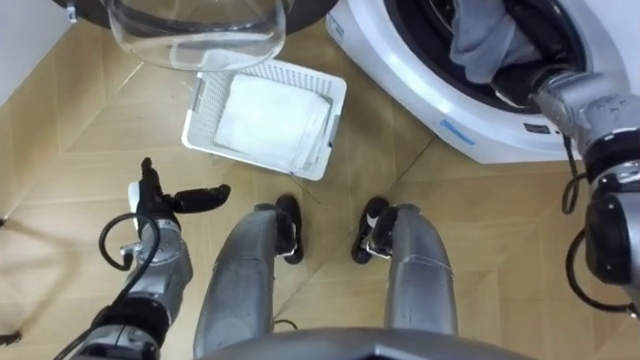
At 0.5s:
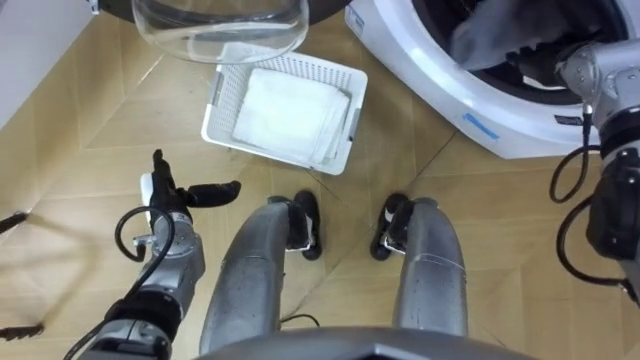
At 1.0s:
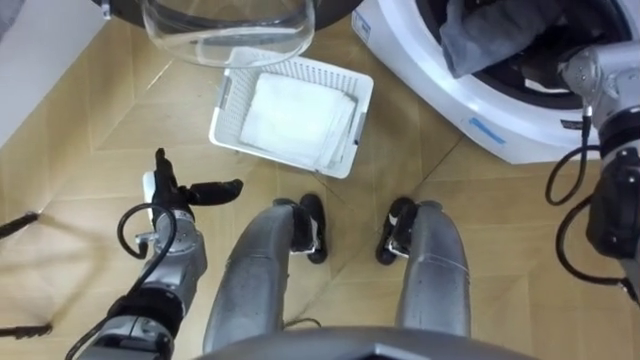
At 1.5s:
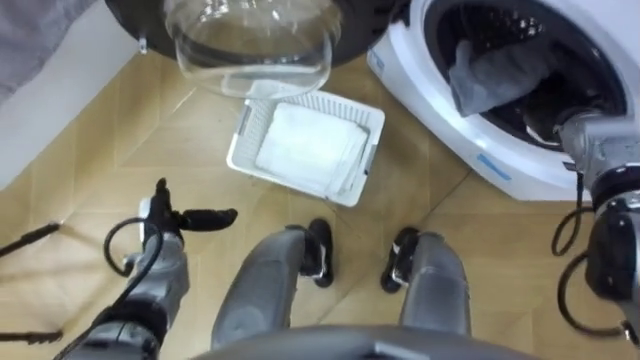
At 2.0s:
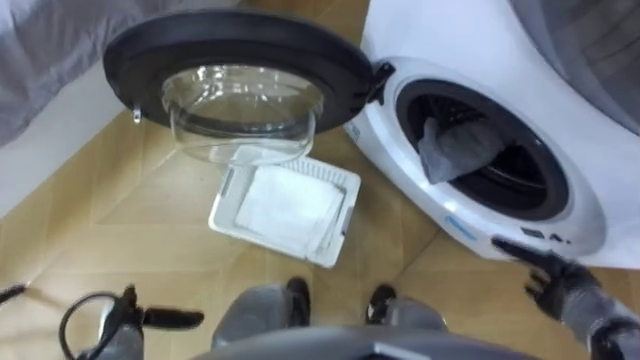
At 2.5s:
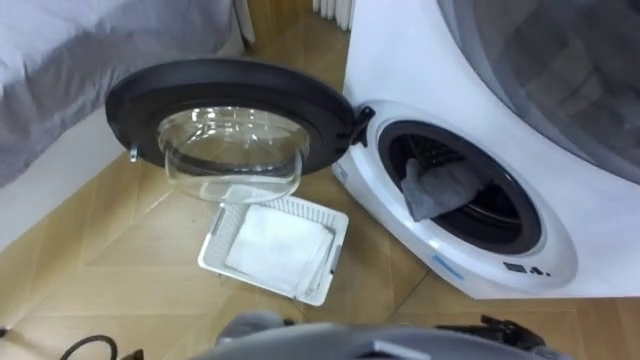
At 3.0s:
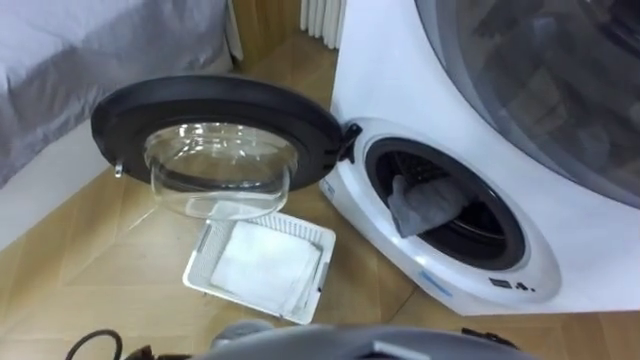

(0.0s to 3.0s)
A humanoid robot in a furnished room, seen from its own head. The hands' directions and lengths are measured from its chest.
Task of the whole recording: Take the towel from the basket and put it into the washing machine.
0.0s - 1.5s: The right hand heads to the right, covering roughly 5 cm, and opens up.

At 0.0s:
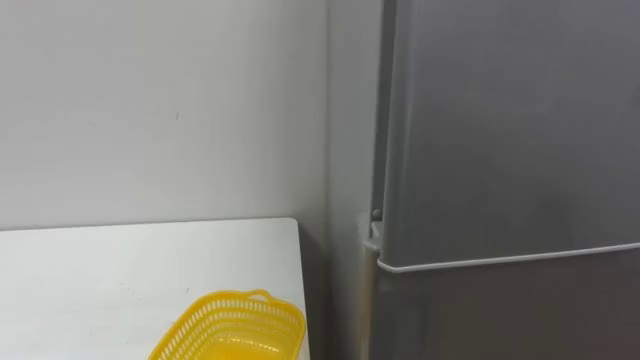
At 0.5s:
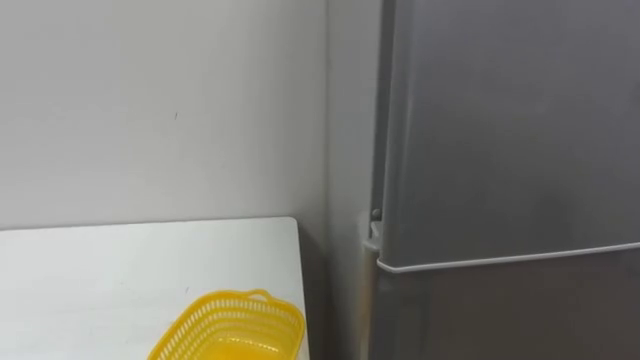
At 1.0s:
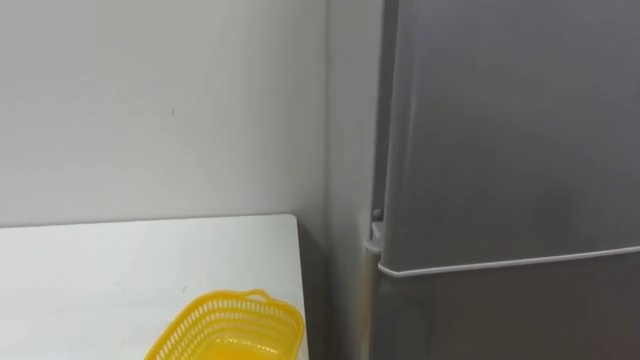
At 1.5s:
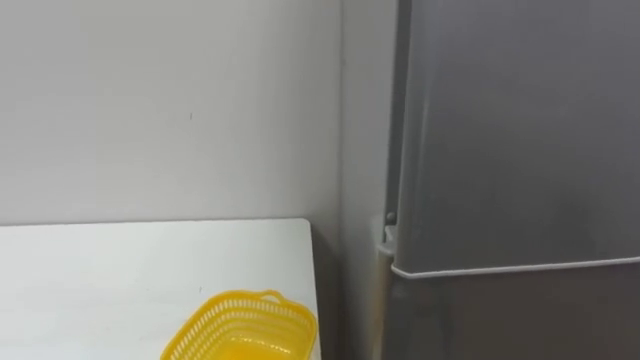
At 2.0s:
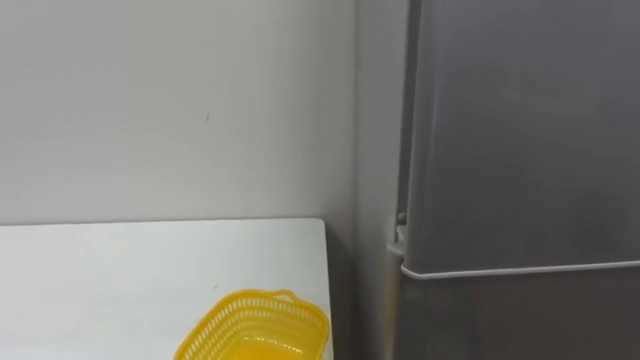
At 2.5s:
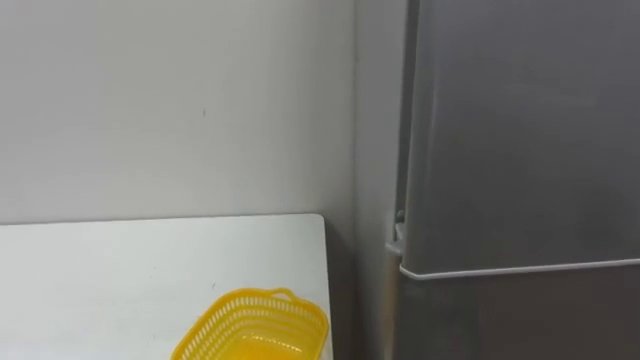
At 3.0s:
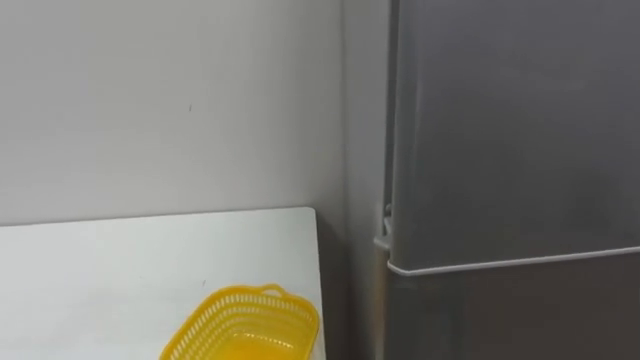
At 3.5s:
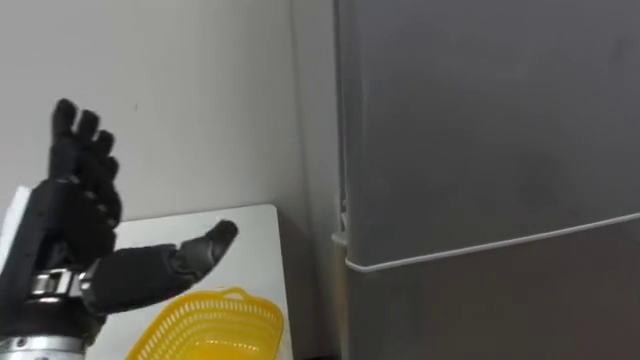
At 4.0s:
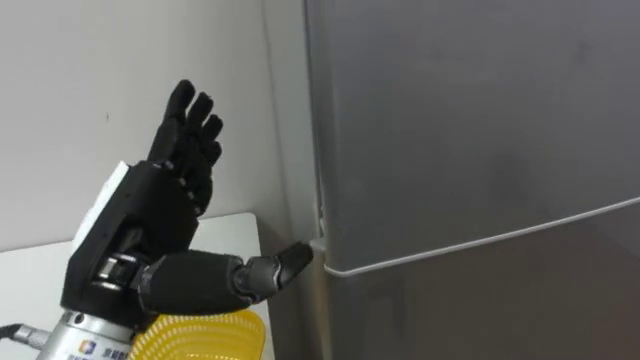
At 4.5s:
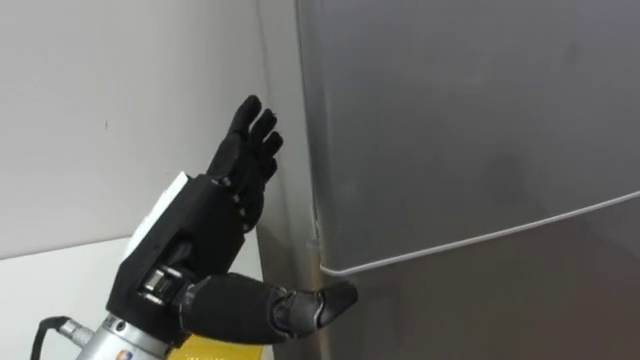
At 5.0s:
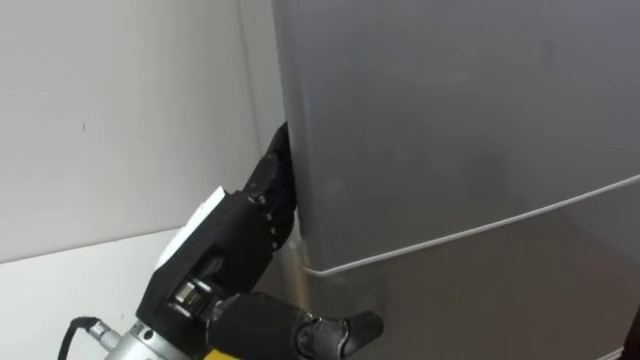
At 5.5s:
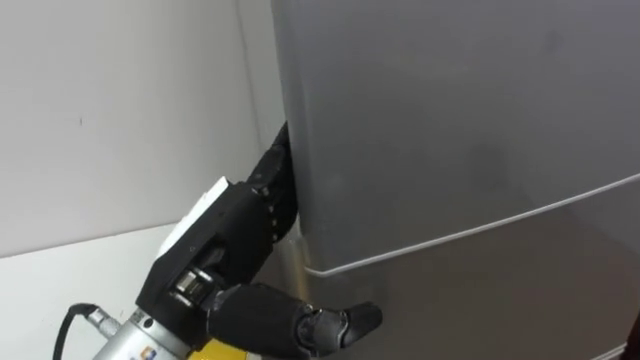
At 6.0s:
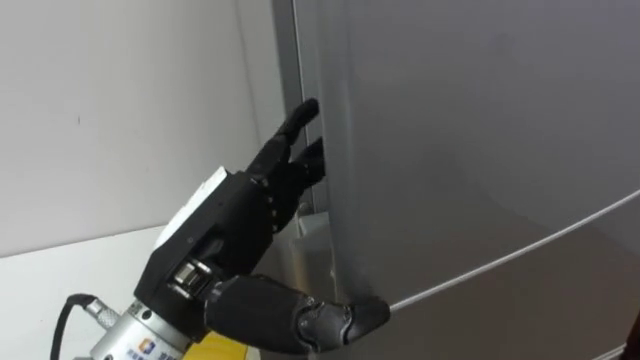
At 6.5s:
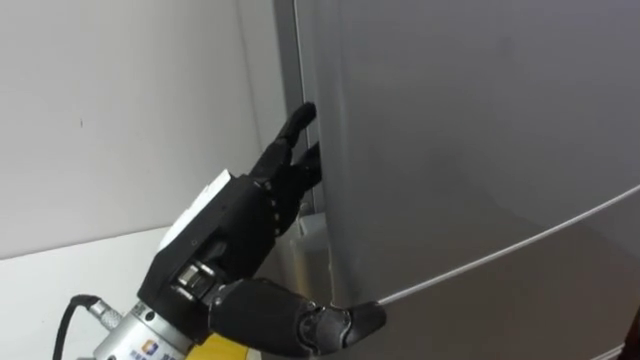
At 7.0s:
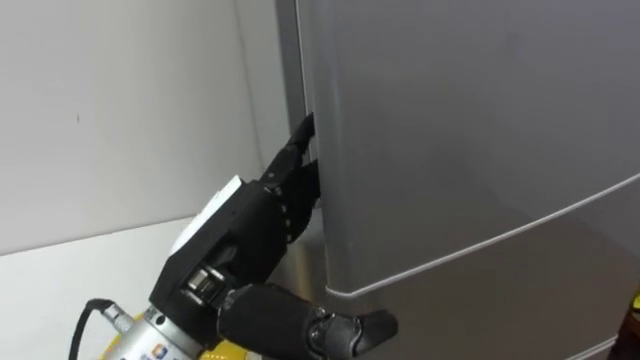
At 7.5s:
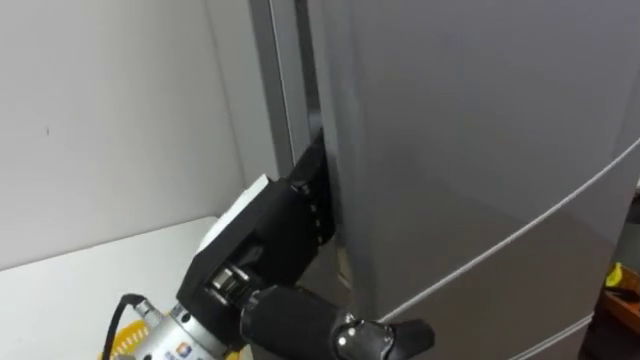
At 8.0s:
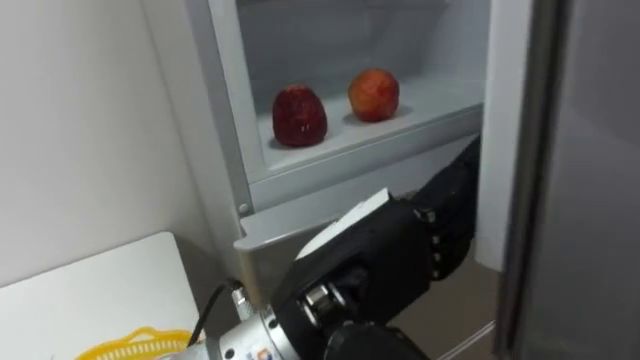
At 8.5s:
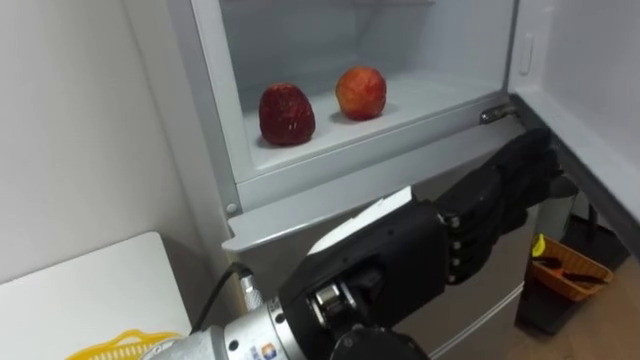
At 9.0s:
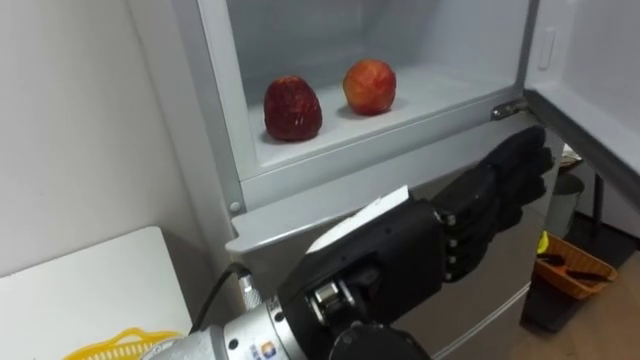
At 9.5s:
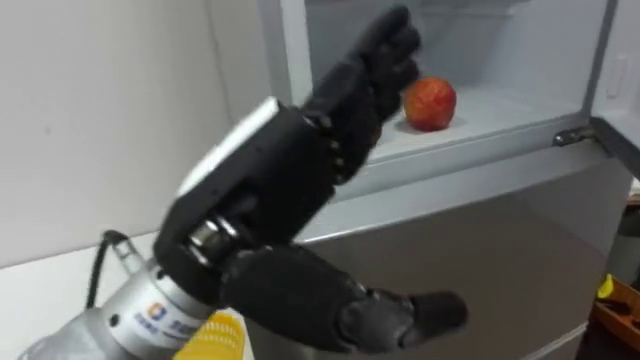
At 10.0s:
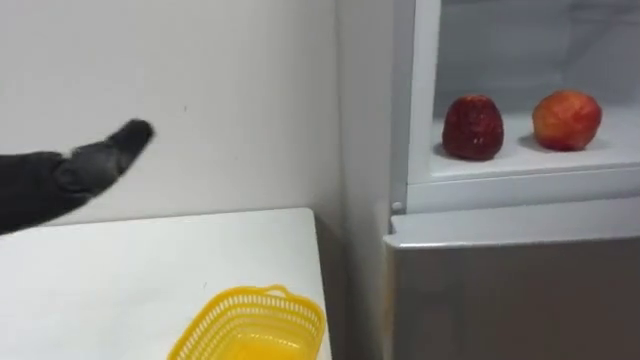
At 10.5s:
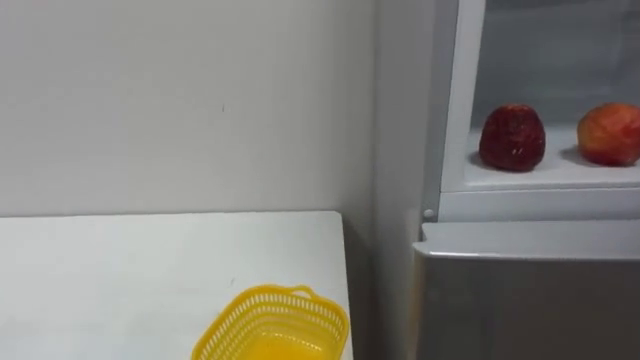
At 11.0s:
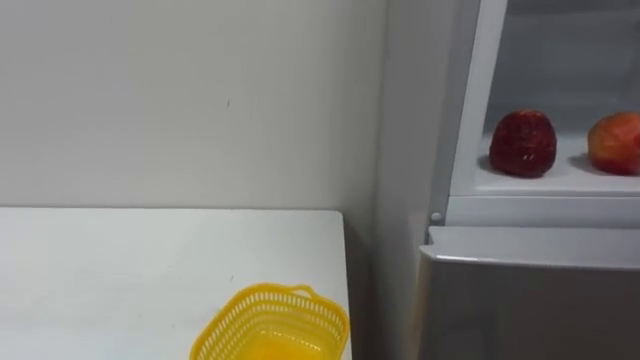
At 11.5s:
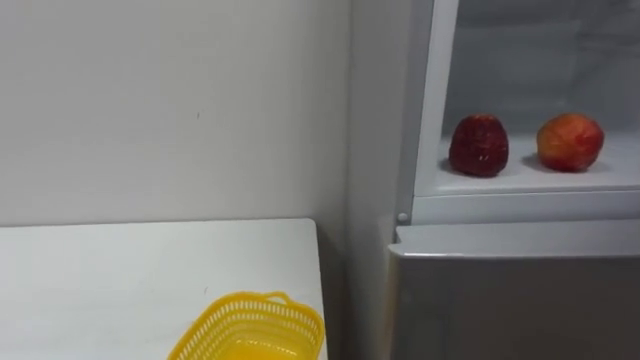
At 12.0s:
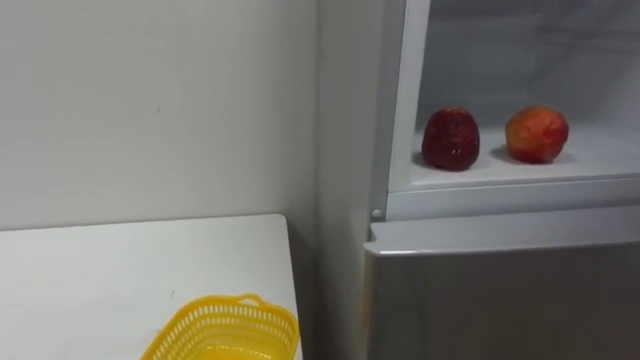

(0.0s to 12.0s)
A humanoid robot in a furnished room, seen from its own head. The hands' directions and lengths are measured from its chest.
Task of the whole recording: Open the refrigerator door, take out the apple and the pomegranate, place them in the fruit basket on the left, and close the refrigerator door.
4.0s - 6.0s: The left hand is displaced to the right by some 5 cm.
6.0s - 8.0s: The left hand moves to the right, some 10 cm.

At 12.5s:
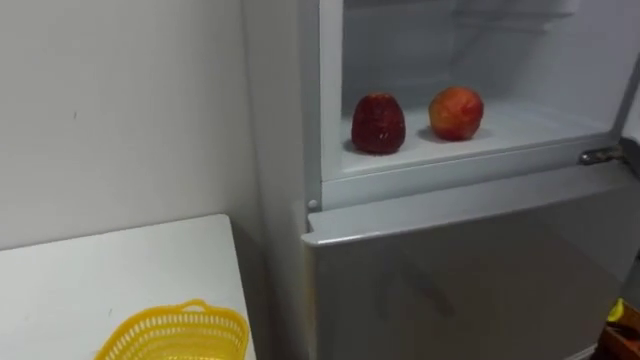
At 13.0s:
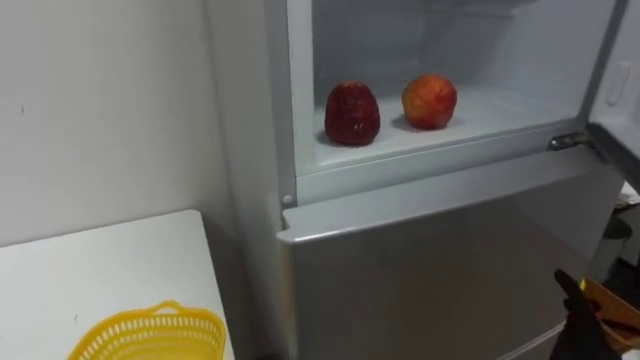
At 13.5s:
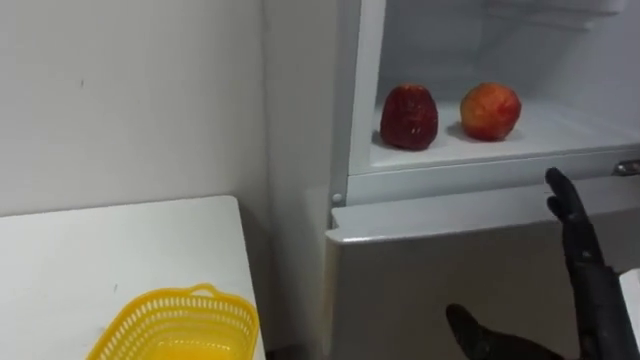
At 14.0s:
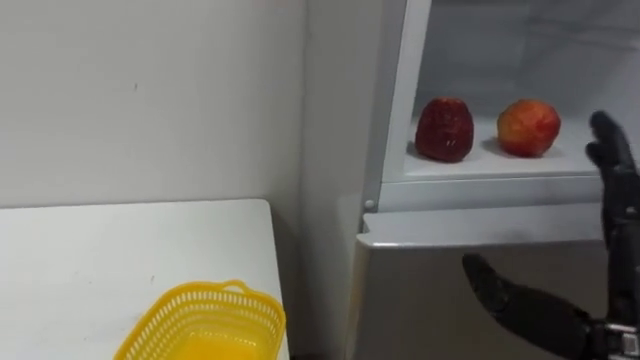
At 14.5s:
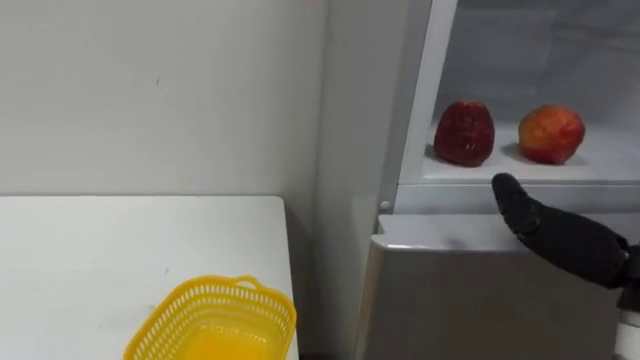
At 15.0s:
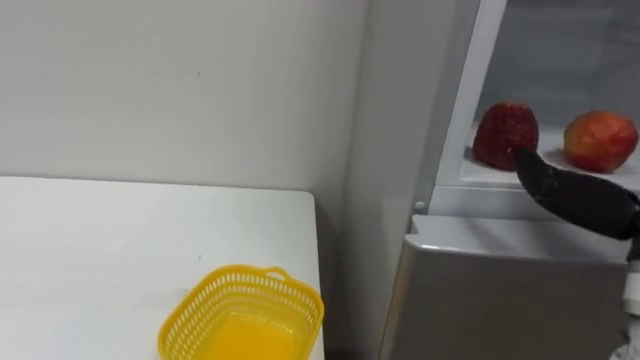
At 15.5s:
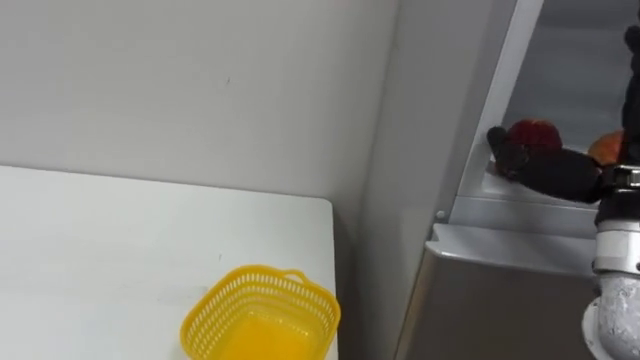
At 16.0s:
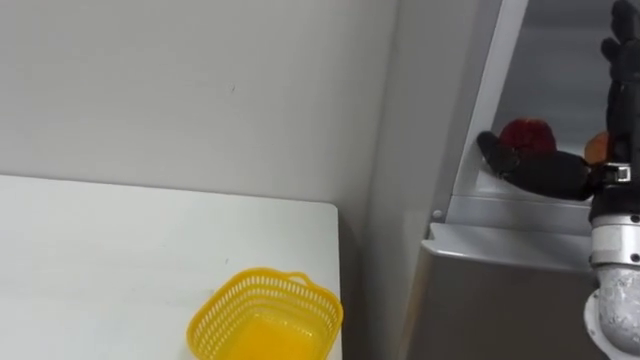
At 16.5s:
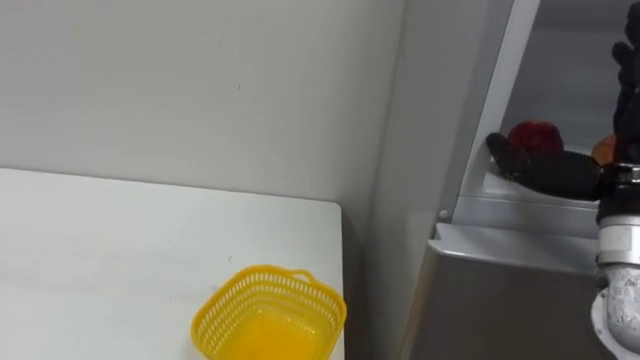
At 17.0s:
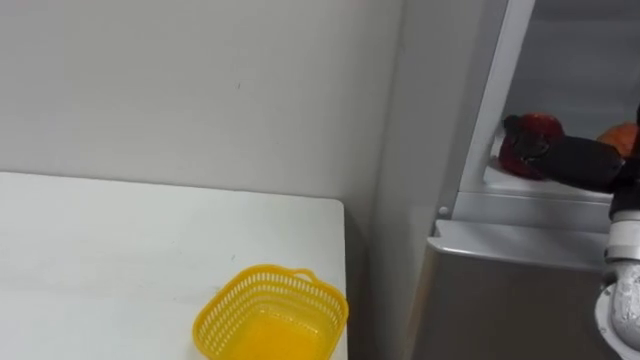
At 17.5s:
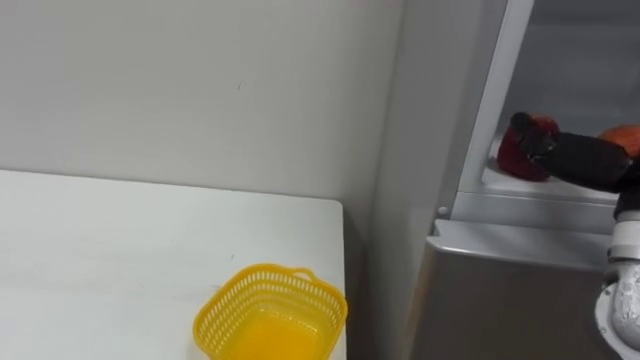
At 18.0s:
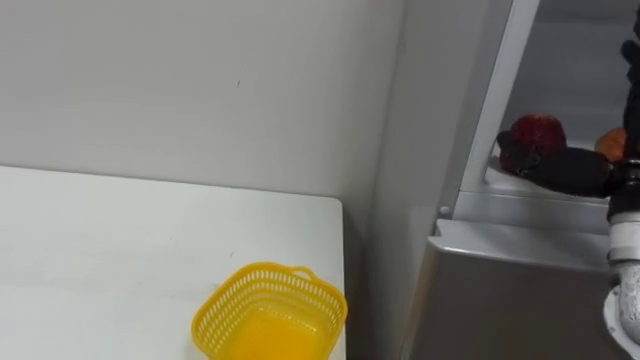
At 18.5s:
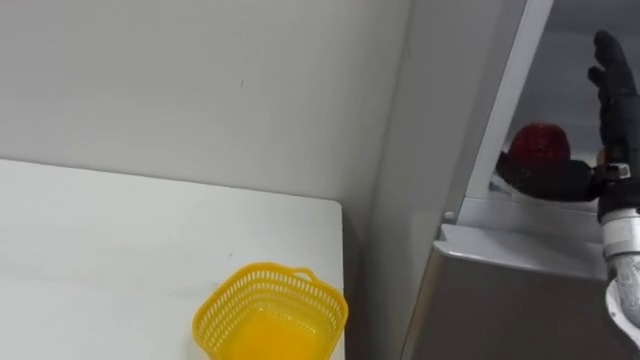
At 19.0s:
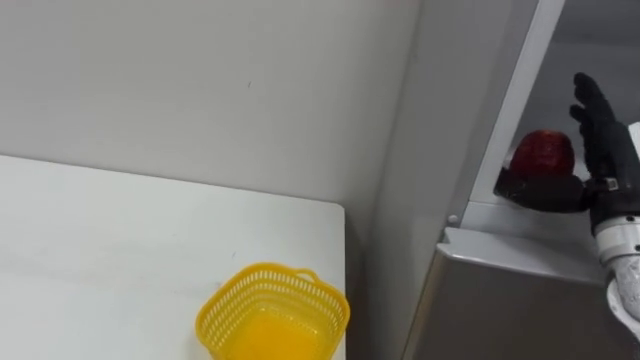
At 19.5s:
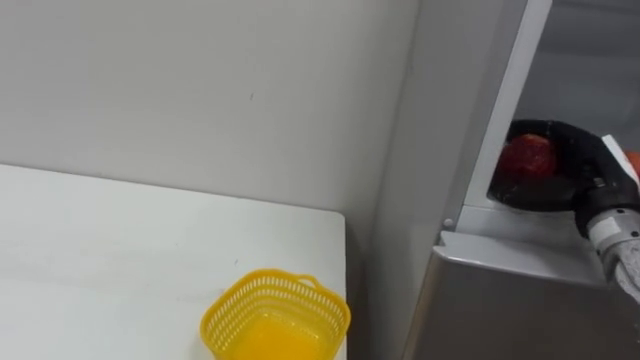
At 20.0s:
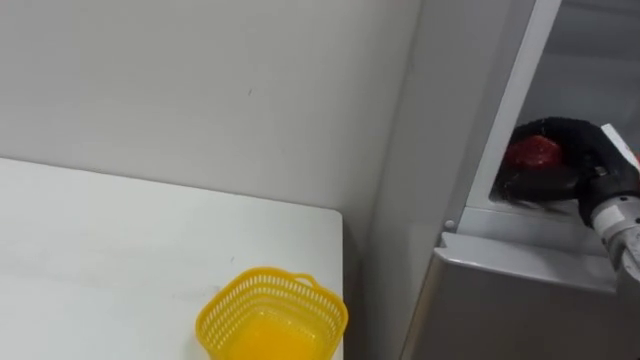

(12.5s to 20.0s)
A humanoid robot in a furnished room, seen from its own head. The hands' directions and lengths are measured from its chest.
Task of the whole recording: Open the refrigerator door, take out the apple and the pomegranate, place them in the fruit basket on the left, and close the refrigerator door.
18.0s - 20.0s: The right hand shifts some 10 cm forward and downward, and closes up.
